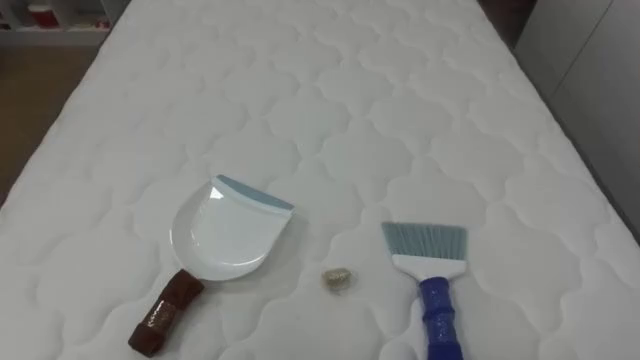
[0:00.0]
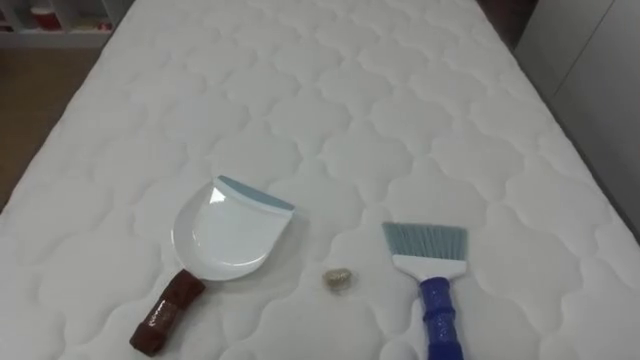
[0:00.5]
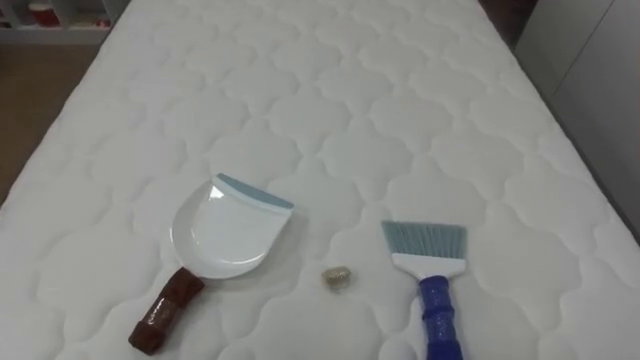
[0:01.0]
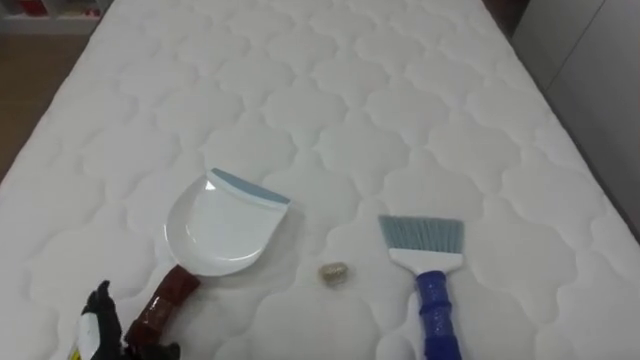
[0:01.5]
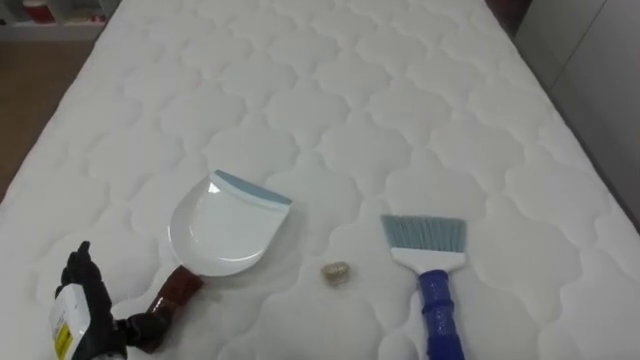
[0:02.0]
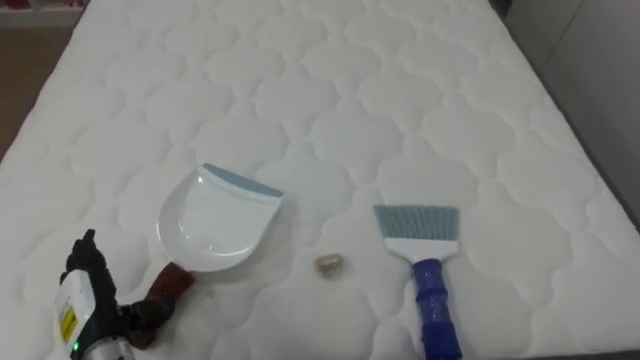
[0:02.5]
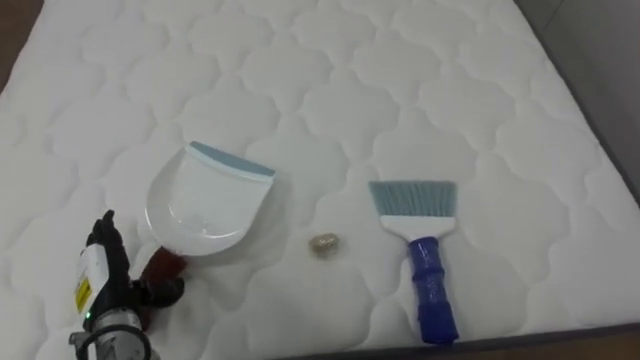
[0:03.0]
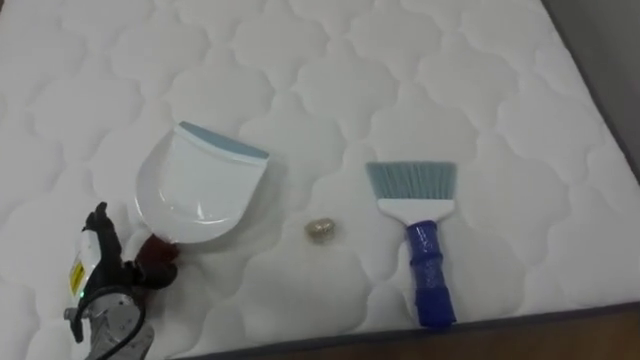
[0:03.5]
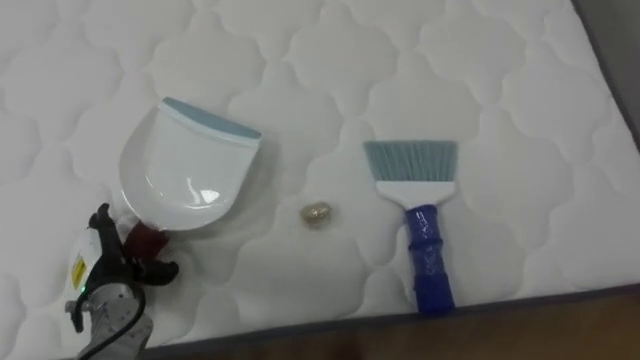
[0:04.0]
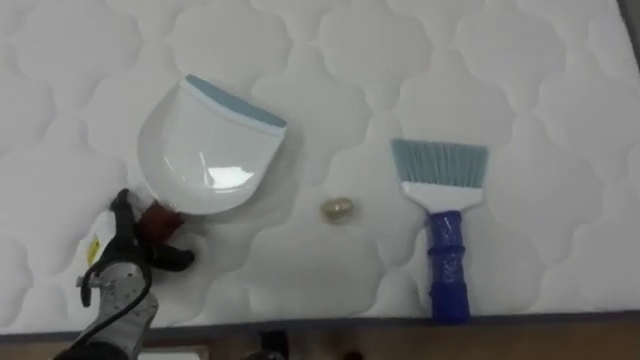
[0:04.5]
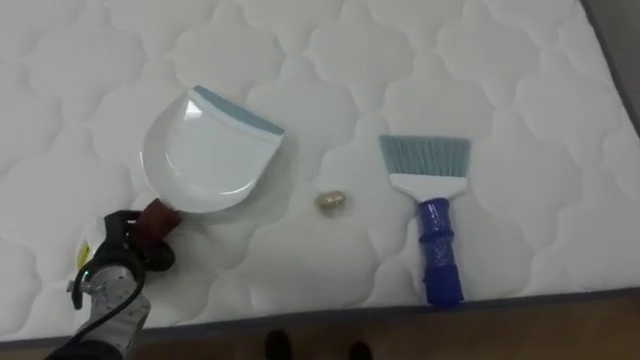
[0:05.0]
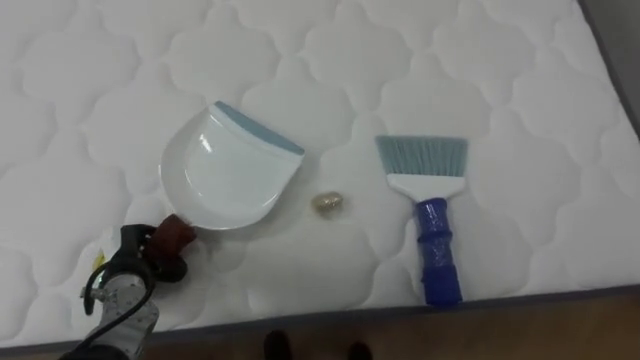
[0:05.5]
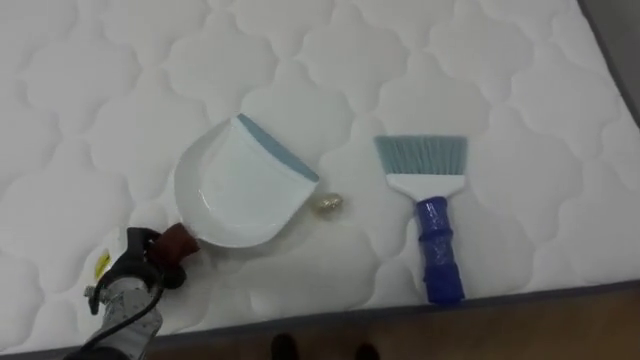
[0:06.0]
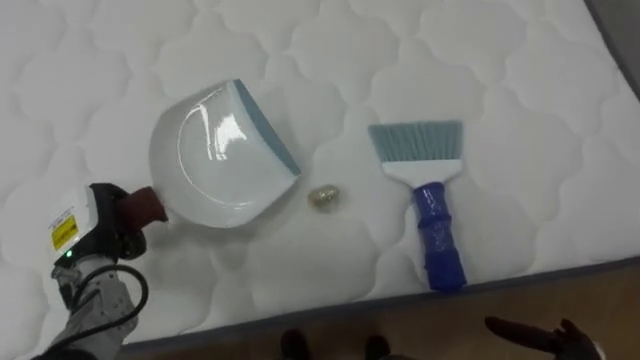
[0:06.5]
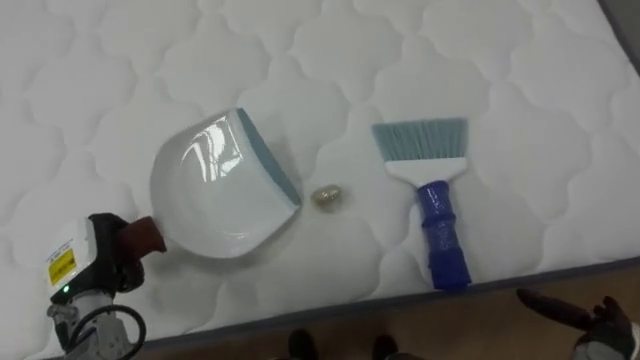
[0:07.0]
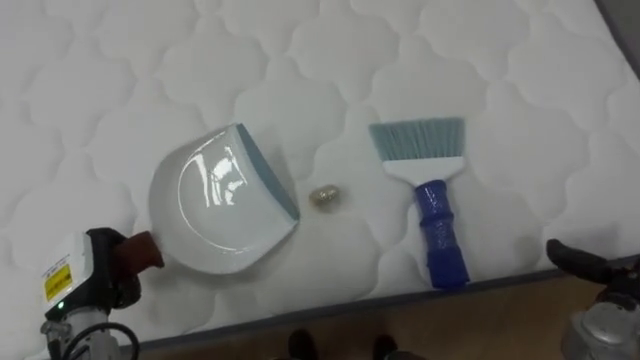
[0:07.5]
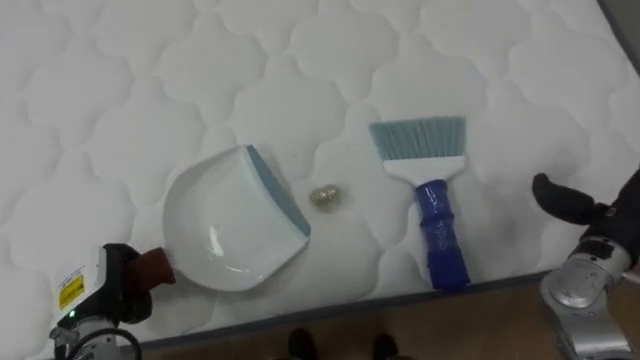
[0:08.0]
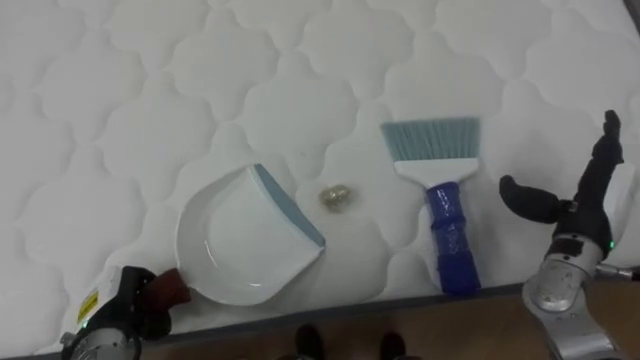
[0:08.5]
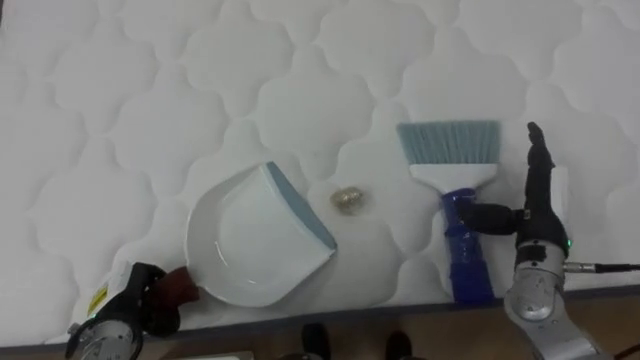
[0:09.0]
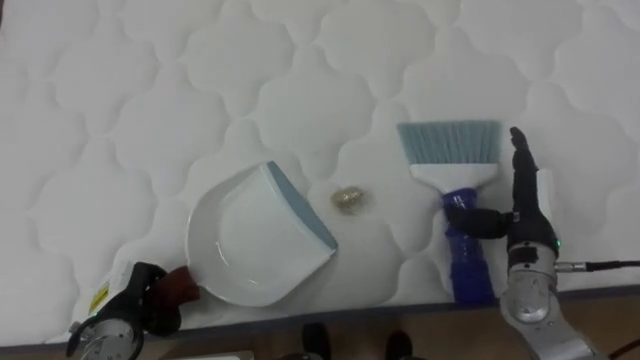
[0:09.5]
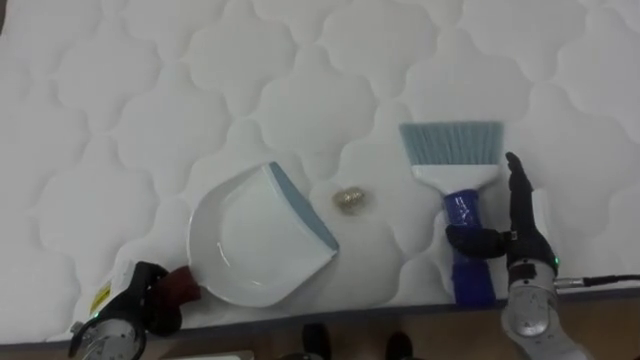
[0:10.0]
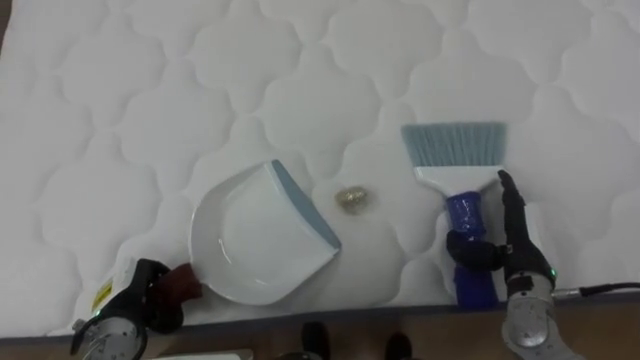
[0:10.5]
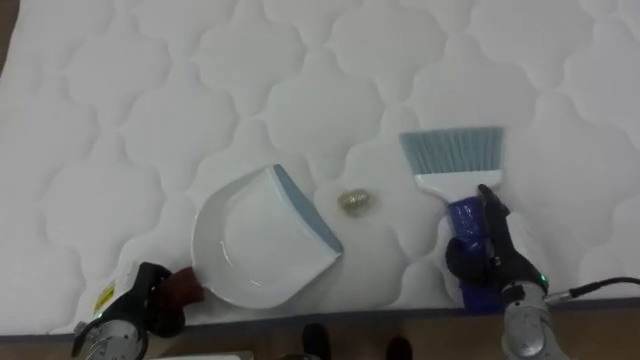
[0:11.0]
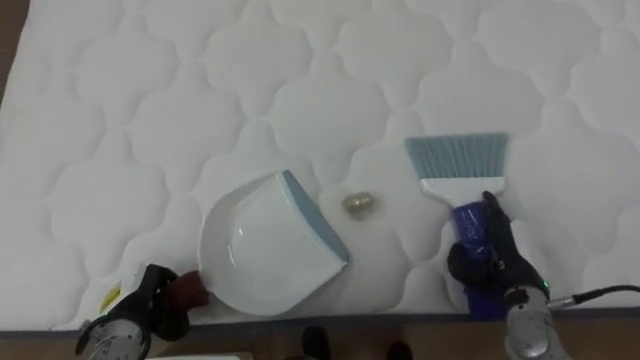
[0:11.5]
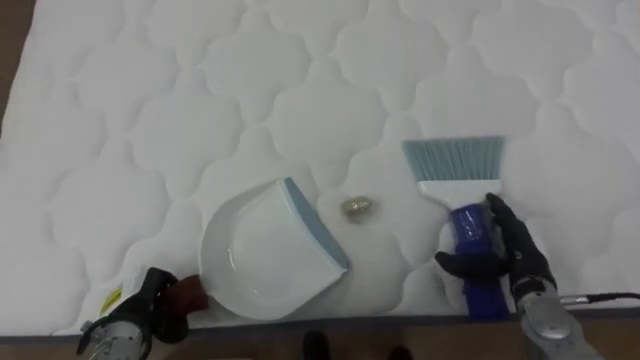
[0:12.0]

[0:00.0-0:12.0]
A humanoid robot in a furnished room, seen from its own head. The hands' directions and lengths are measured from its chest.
Task of the whole recording: Pick up the brush on your right and the dustpan on your left. Use the brush to sweep the crumpled paper on the bed into the dustpan, then turn left and empty it into the basket.
0:02.0 to 0:04.0: The left hand heads forward, covering some 10 cm.
0:04.0 to 0:06.0: The left hand closes its fingers.
0:06.0 to 0:08.0: The left hand changes place by about 5 cm.
0:08.0 to 0:10.0: The right hand moves to the left and downward, some 10 cm.
0:10.0 to 0:12.0: The right hand moves downward, roughly 5 cm.

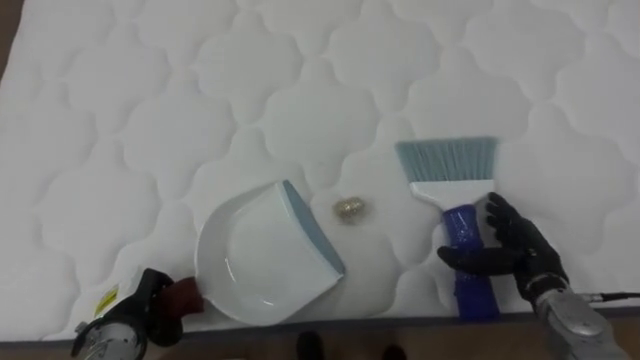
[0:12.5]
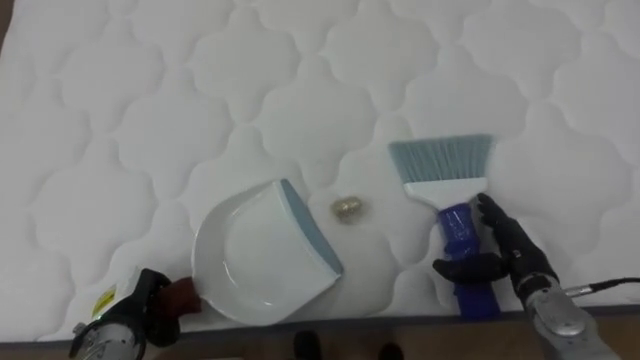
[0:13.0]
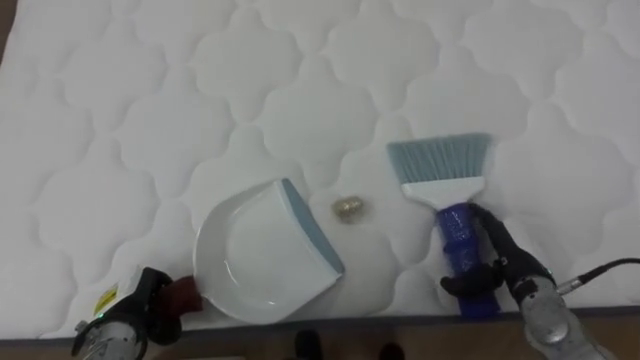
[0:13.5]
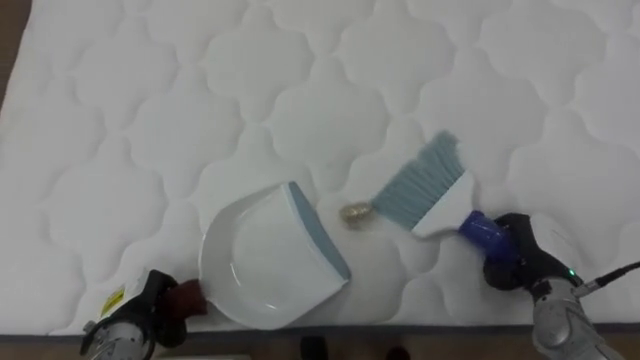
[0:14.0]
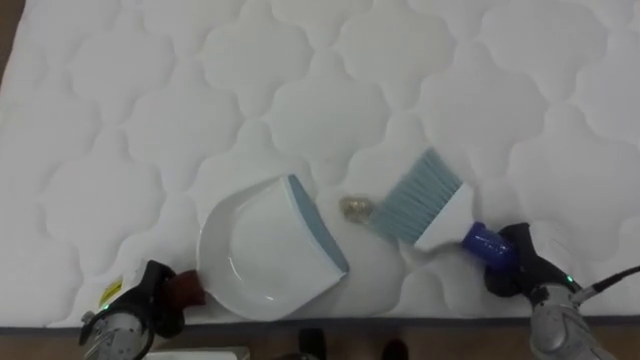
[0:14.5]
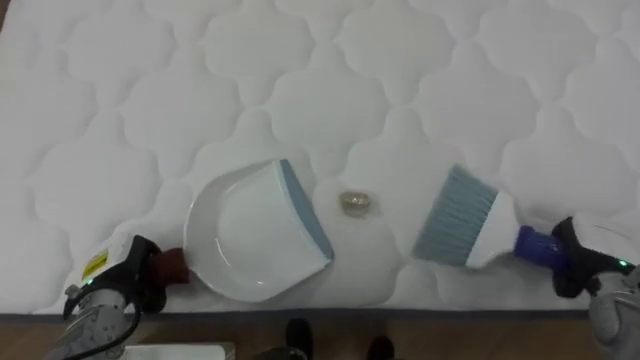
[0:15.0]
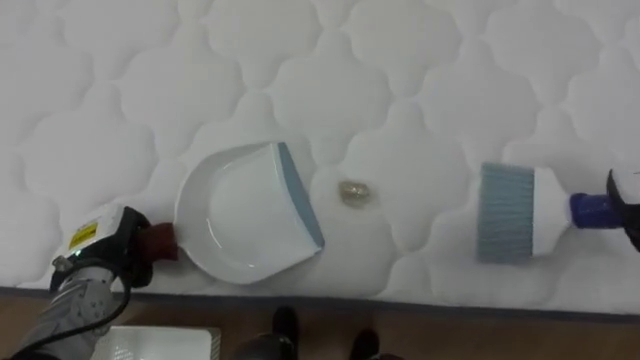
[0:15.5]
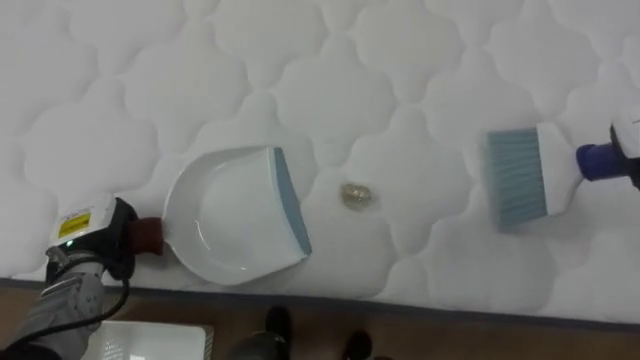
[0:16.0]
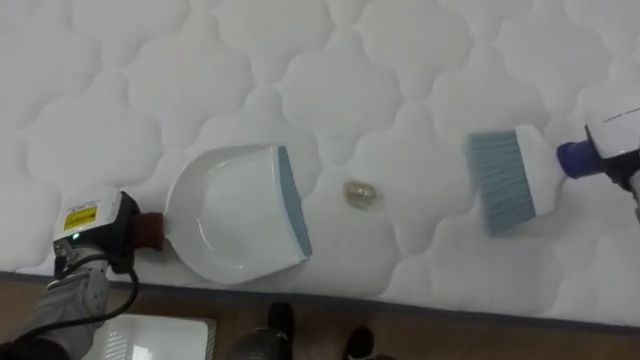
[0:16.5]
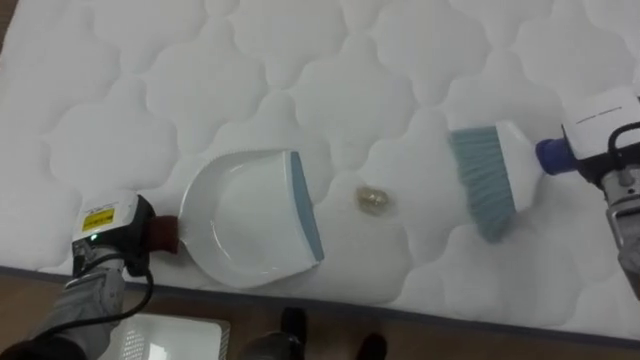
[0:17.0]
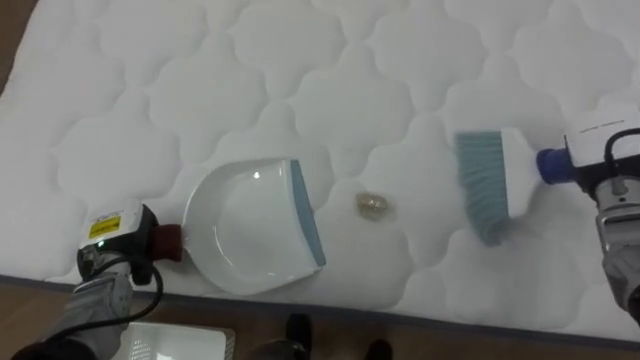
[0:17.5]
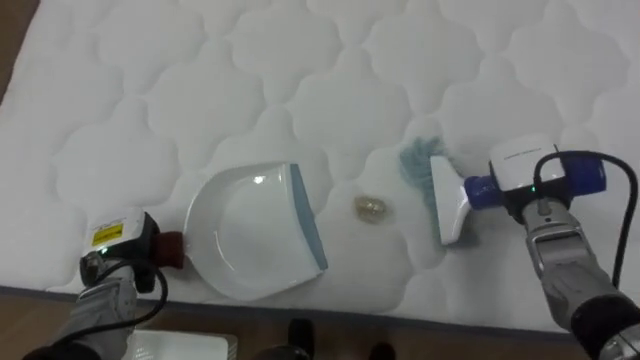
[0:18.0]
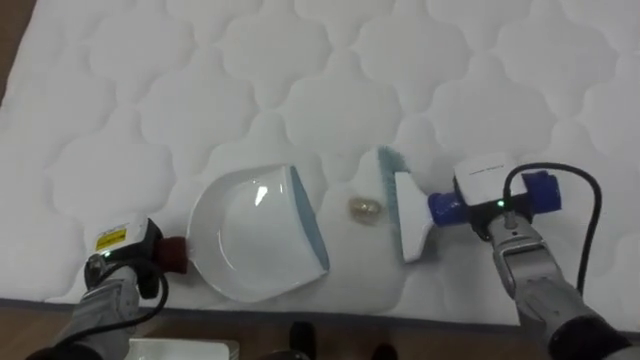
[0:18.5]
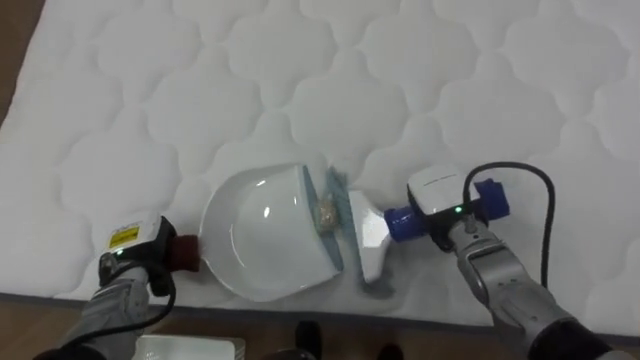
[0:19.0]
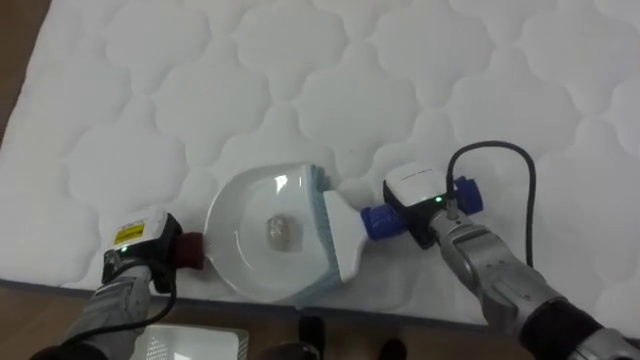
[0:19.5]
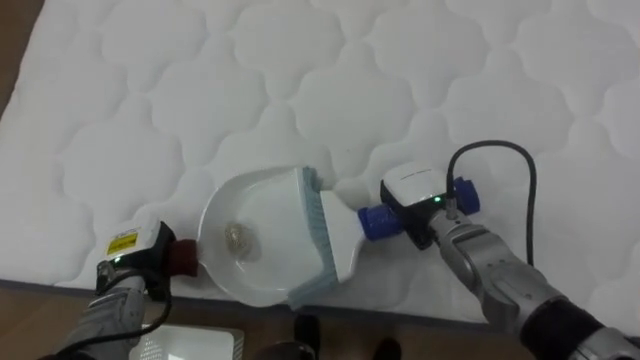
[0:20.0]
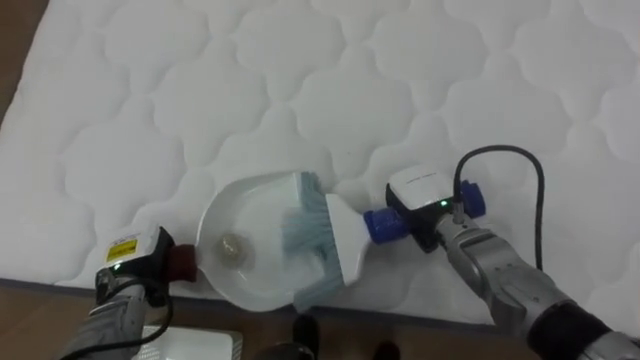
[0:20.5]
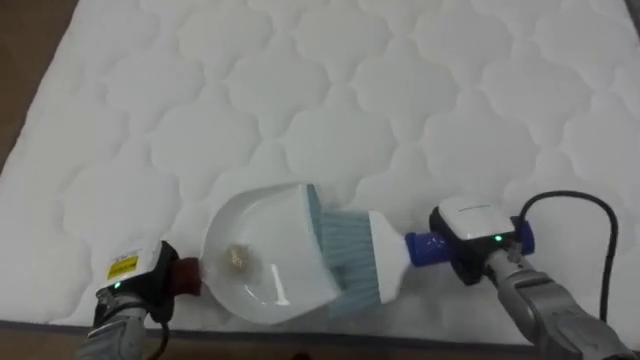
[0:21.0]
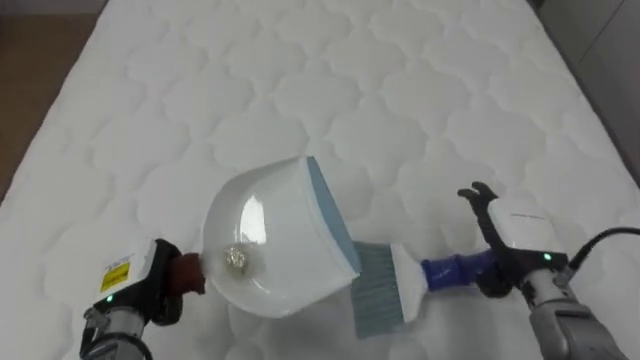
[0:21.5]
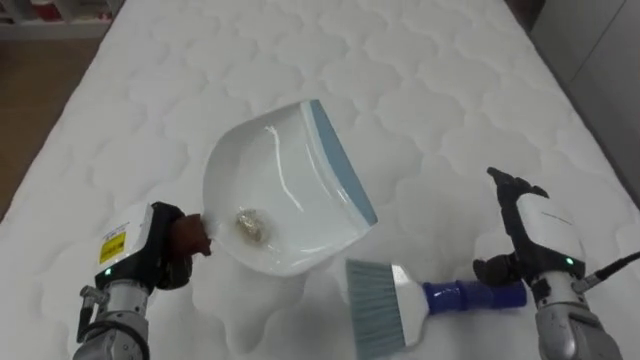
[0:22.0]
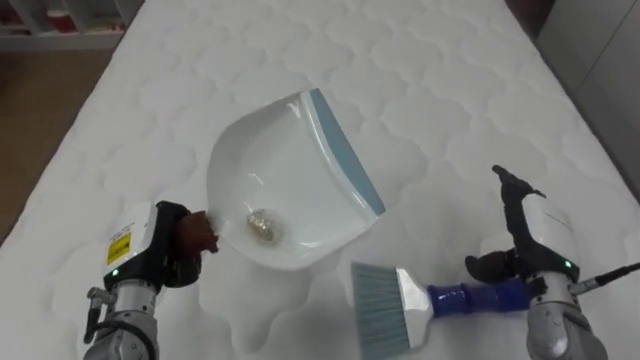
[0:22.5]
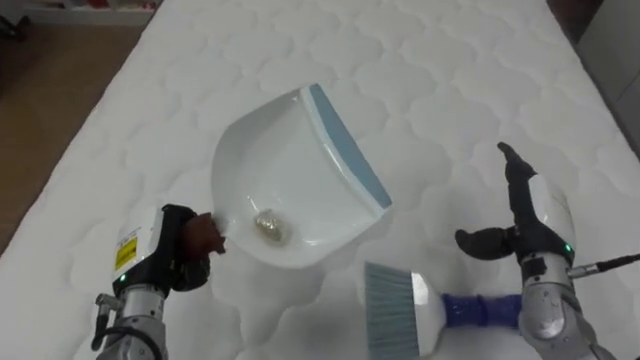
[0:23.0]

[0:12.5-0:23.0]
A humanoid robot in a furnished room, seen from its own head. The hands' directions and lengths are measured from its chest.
Task of the whole recording: Pick up the brush on your right and the dustpan on your left. Use the brush to sweep the crumpled paper on the bed into the dustpan, then turn left and empty it into the basket.
0:12.5 to 0:14.5: The right hand closes up.
0:14.5 to 0:16.5: The left hand heads upward and forward, covering some 10 cm.
0:16.5 to 0:19.0: The left hand ends up about 5 cm from where it was; the right hand is displaced to the left and downward by approximately 25 cm.
0:19.0 to 0:21.0: The right hand ends up approximately 5 cm from where it was.
0:21.0 to 0:23.0: The right hand moves to the right, approximately 5 cm, and opens, while the left hand goes some 5 cm upward.
